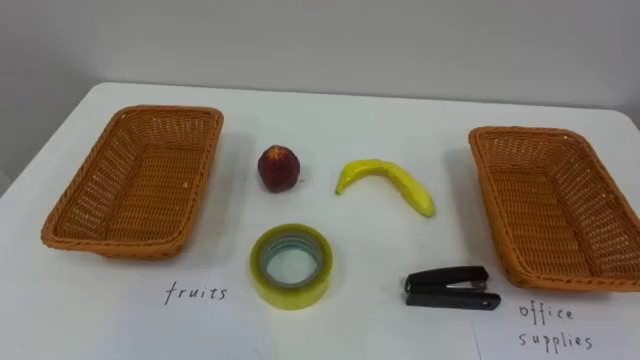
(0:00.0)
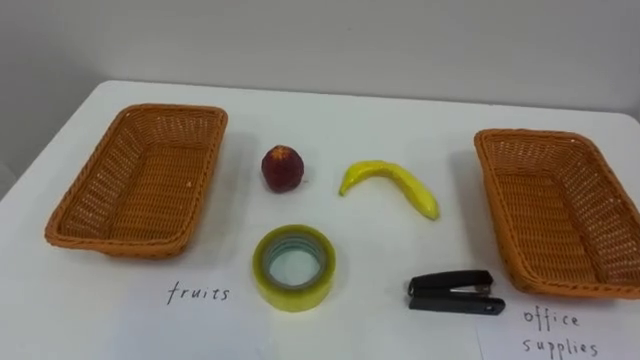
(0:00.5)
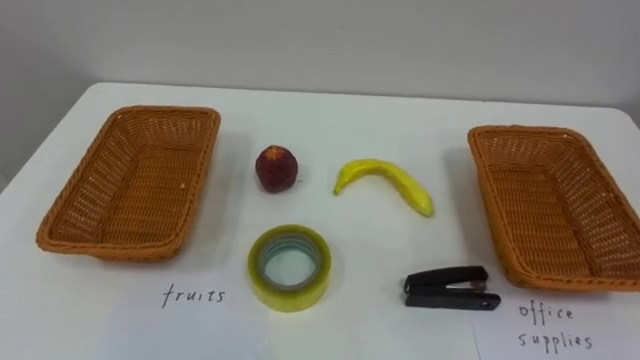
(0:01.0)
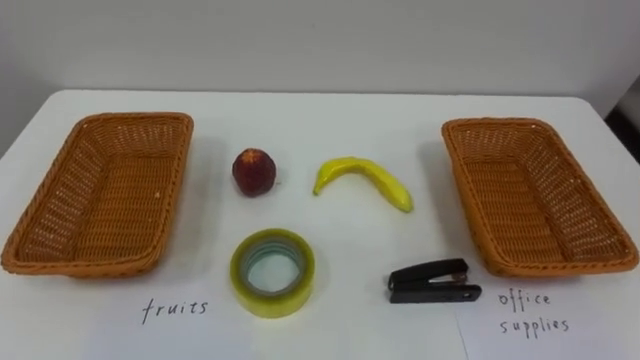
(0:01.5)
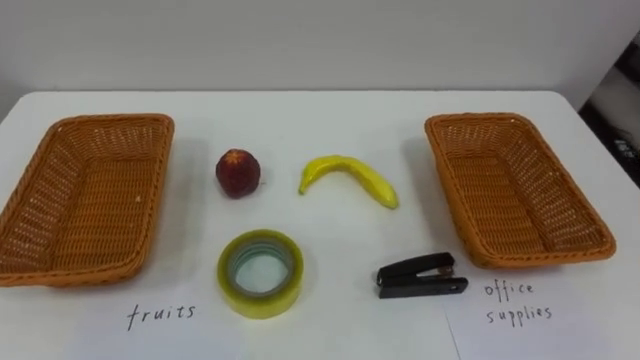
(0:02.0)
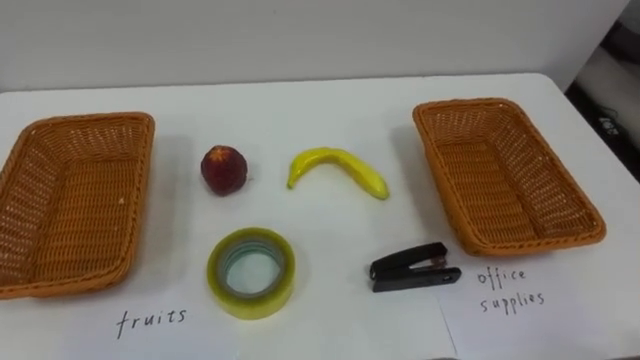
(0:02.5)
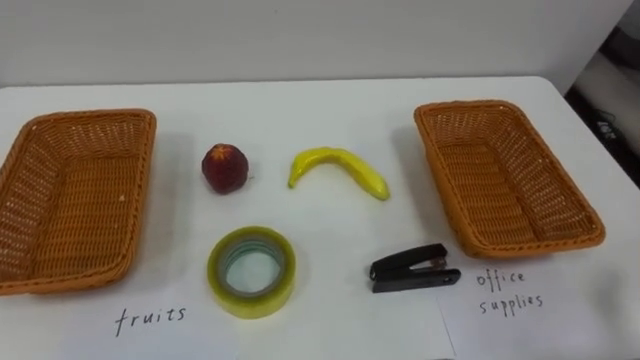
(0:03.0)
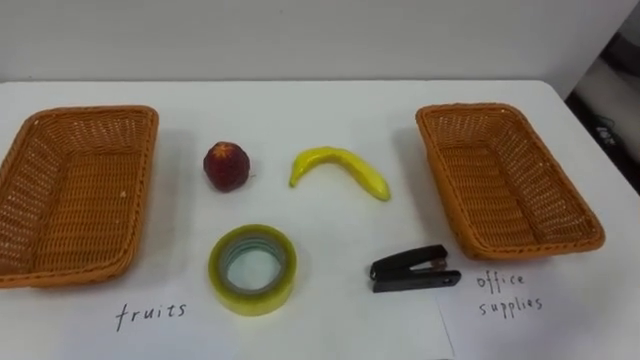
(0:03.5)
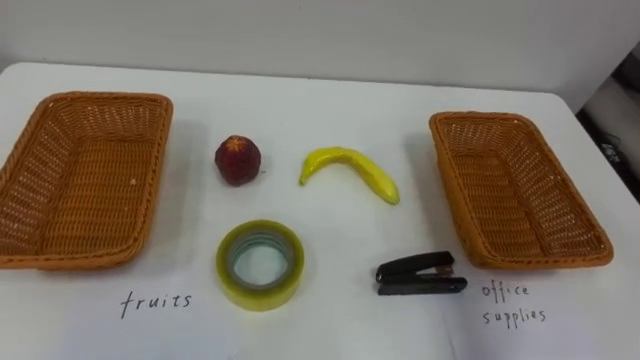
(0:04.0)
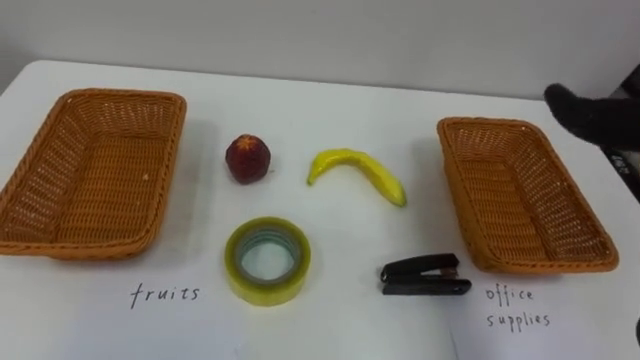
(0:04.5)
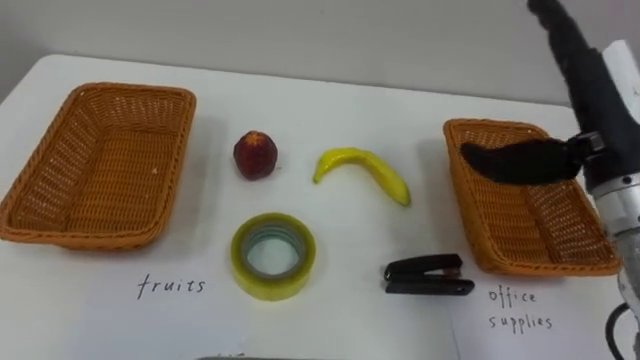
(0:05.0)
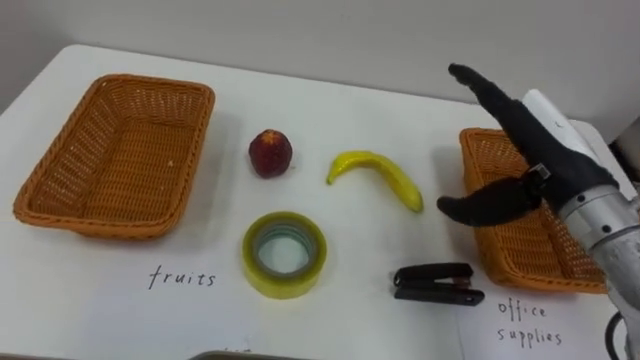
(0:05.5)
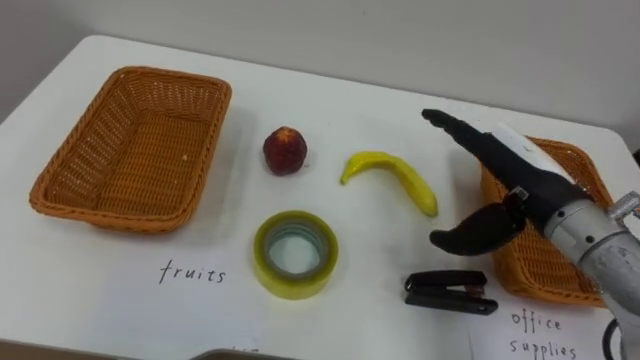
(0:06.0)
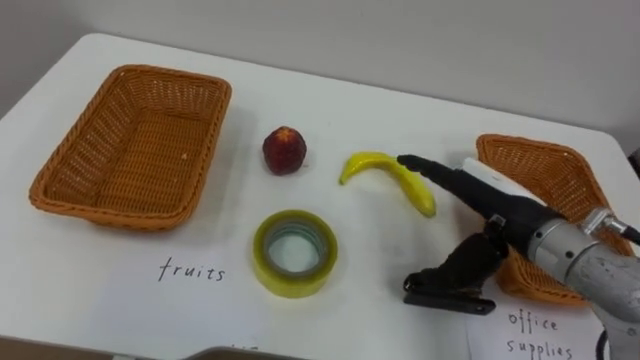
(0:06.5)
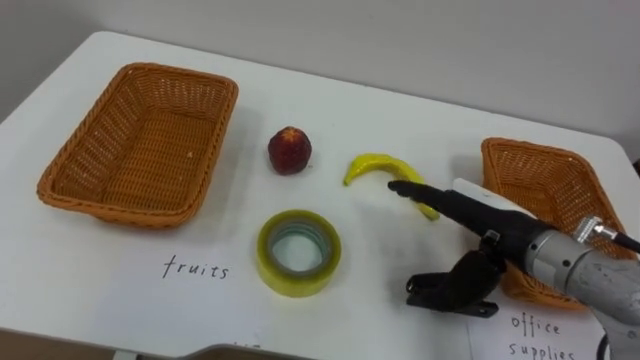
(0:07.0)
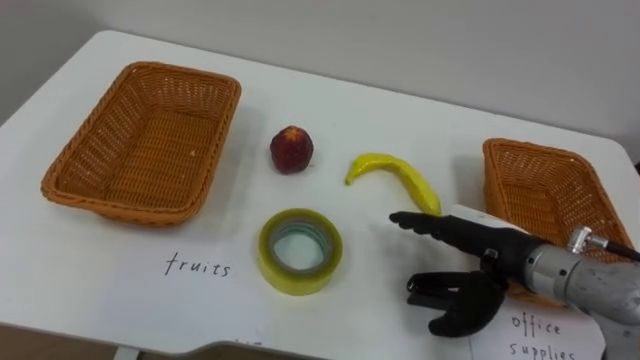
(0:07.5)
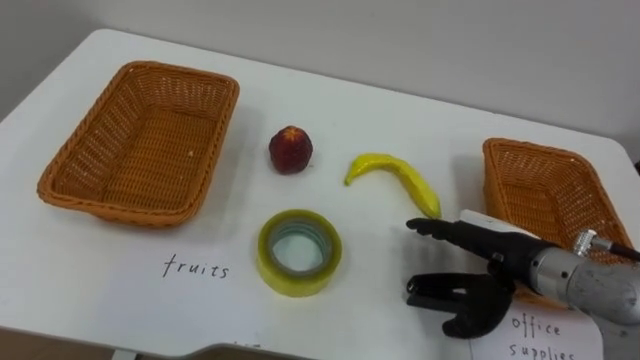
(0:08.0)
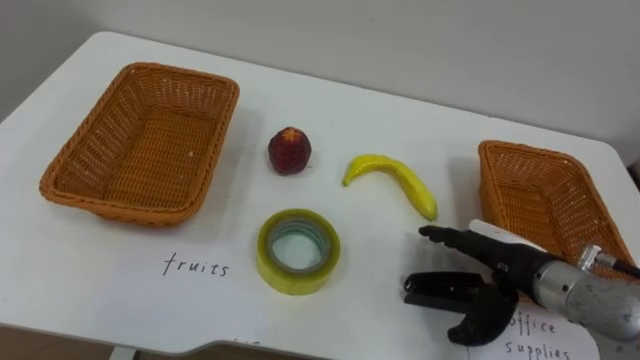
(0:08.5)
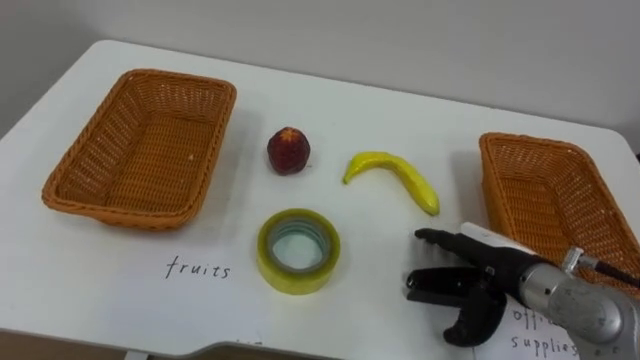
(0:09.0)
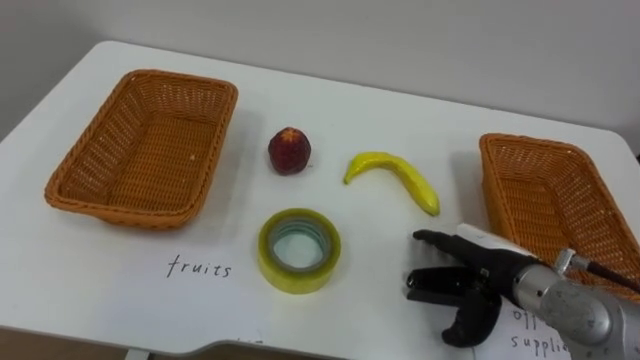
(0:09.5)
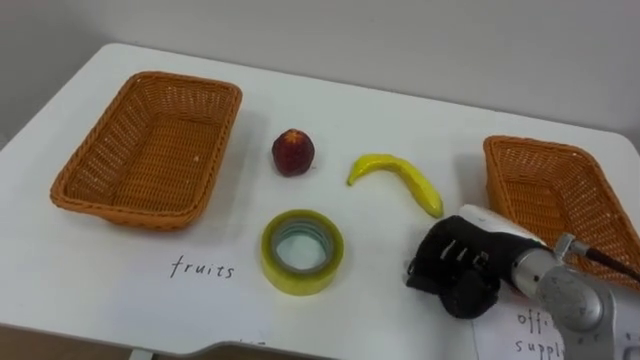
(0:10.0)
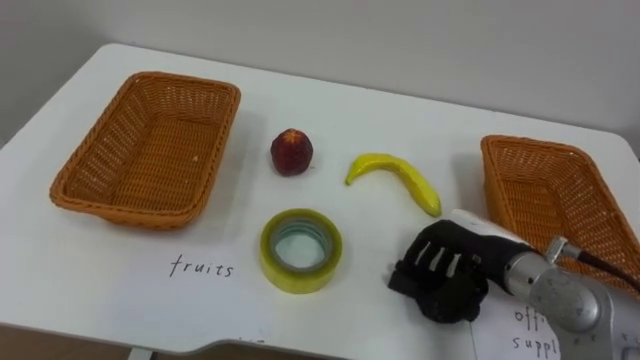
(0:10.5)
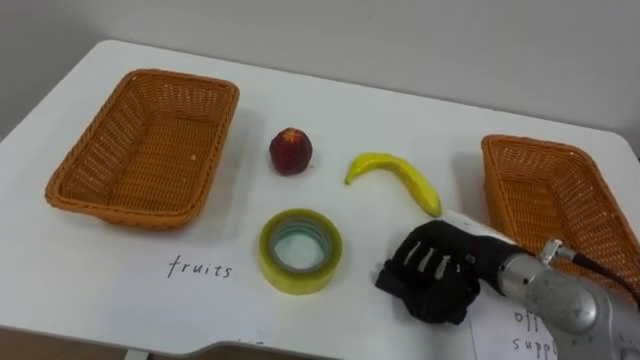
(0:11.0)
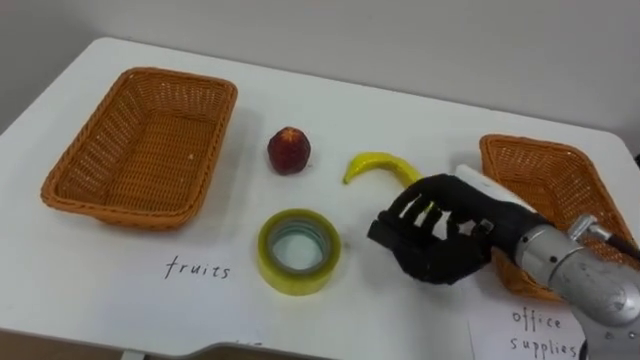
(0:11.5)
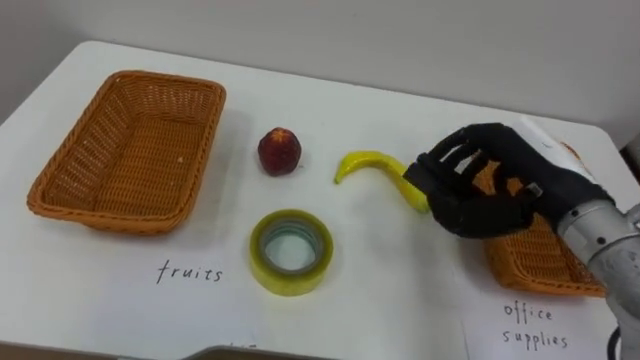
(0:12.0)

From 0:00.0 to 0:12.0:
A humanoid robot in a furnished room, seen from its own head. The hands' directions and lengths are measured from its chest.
Task of the whole recording: Separate the items on the table and place them into the two baskets.
From 0:06.0 to 0:08.0: The right hand is displaced downward by some 10 cm.
From 0:08.0 to 0:10.0: The right hand closes up.
From 0:10.0 to 0:12.0: The right hand shifts roughly 10 cm upward.

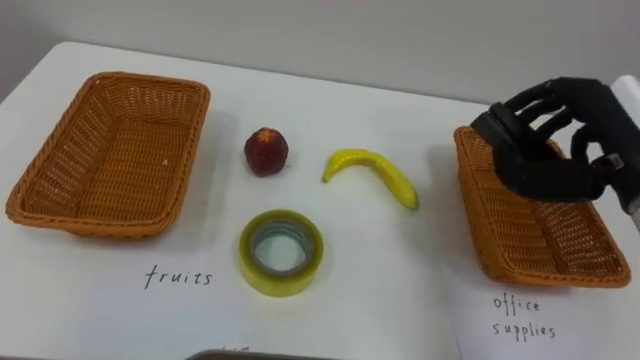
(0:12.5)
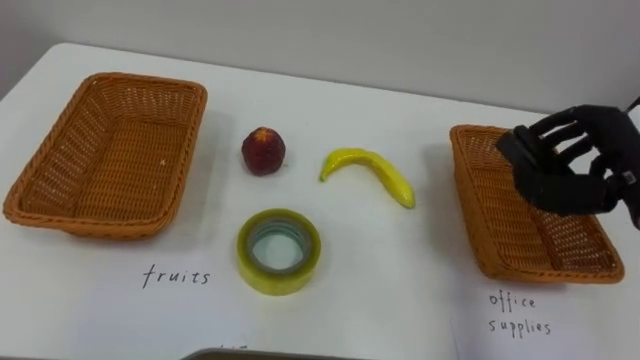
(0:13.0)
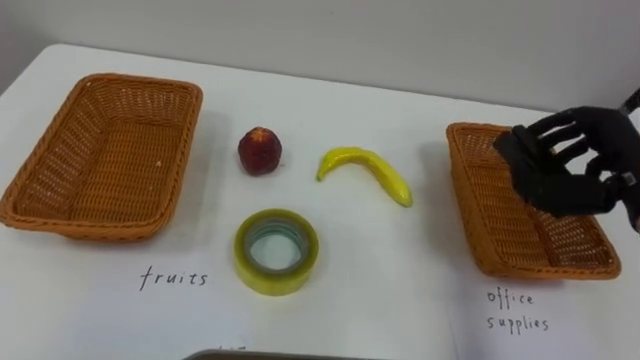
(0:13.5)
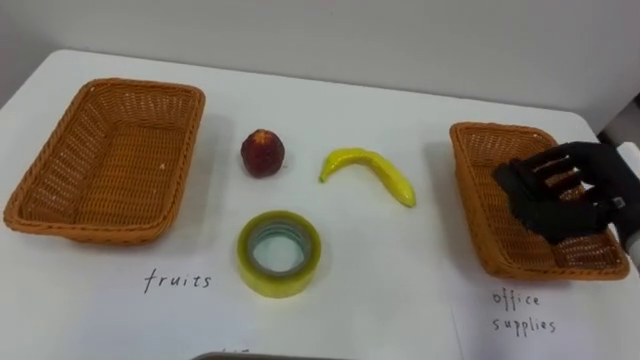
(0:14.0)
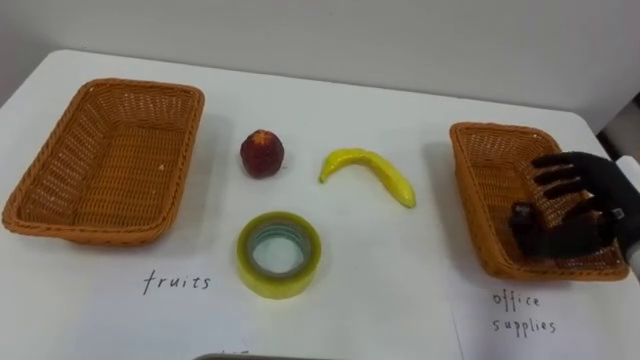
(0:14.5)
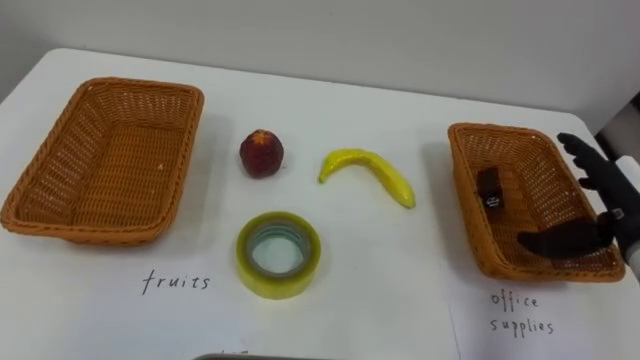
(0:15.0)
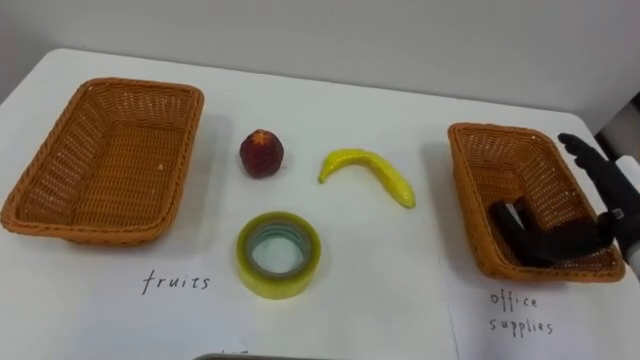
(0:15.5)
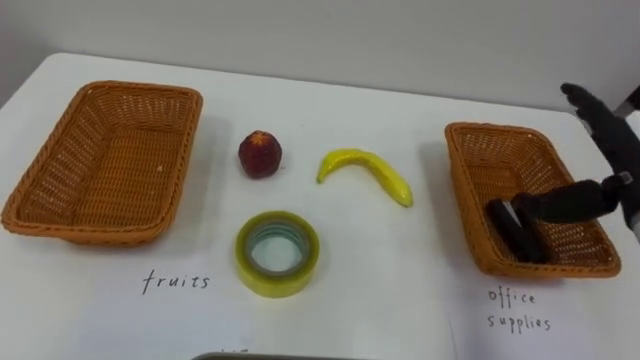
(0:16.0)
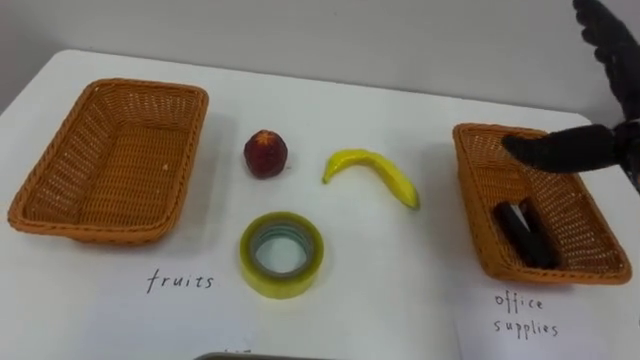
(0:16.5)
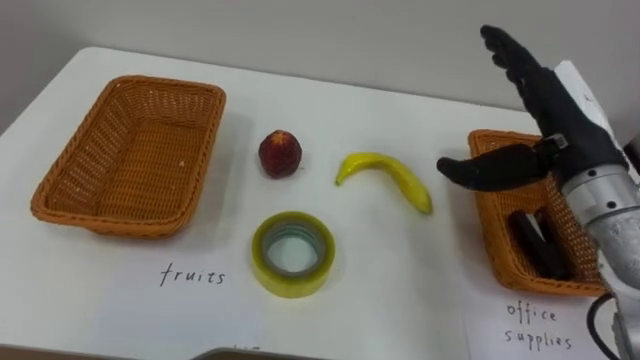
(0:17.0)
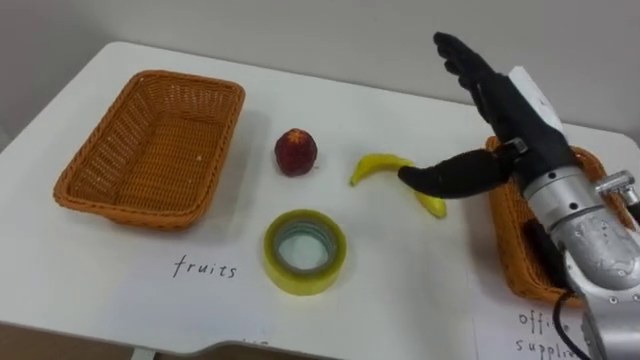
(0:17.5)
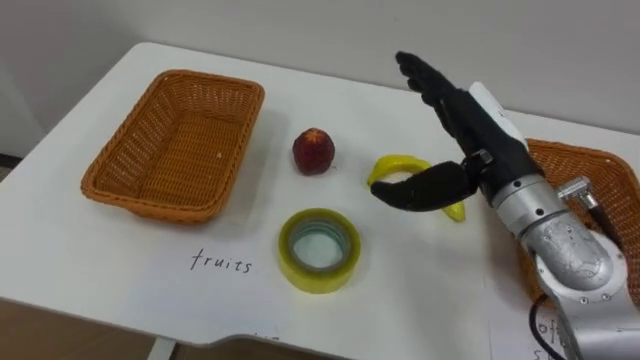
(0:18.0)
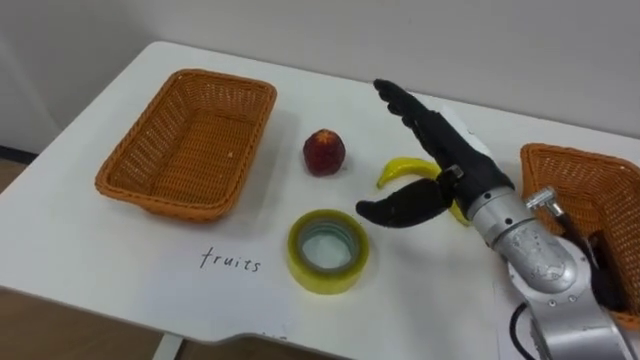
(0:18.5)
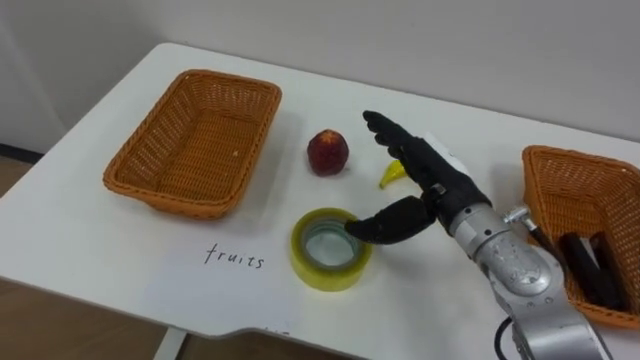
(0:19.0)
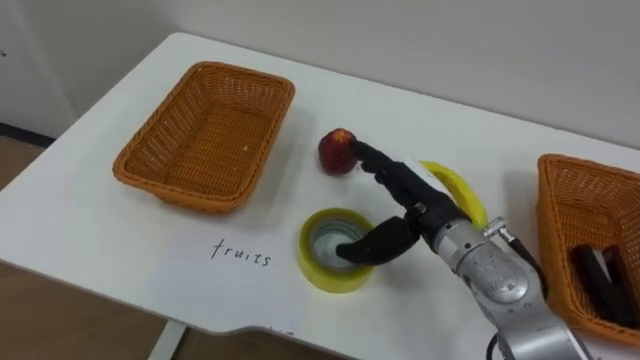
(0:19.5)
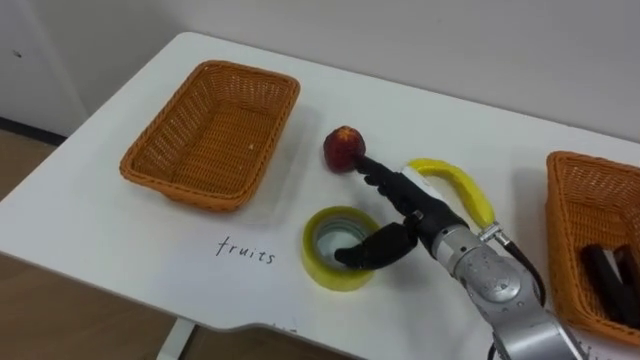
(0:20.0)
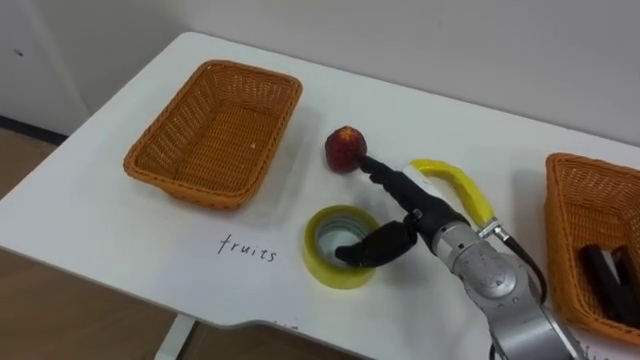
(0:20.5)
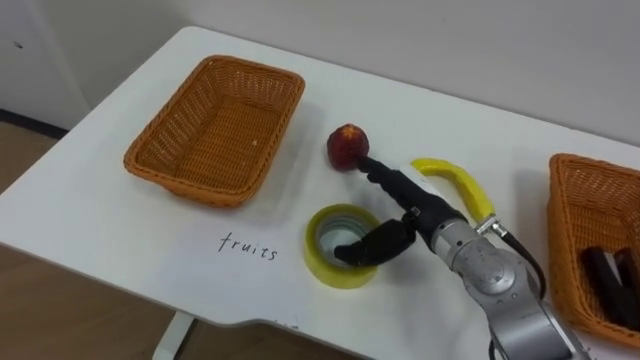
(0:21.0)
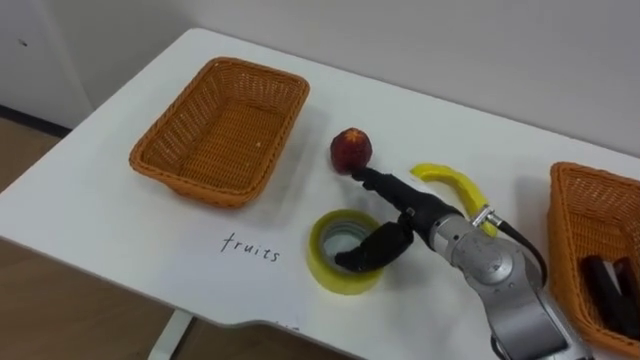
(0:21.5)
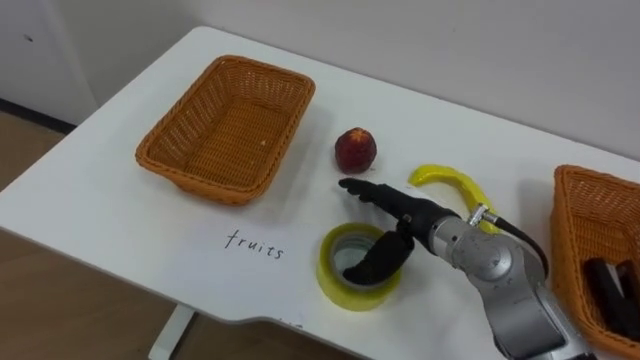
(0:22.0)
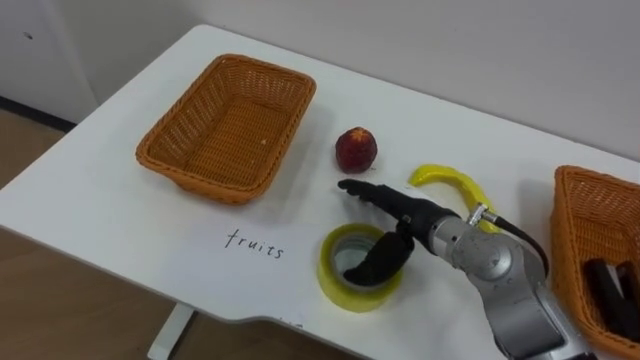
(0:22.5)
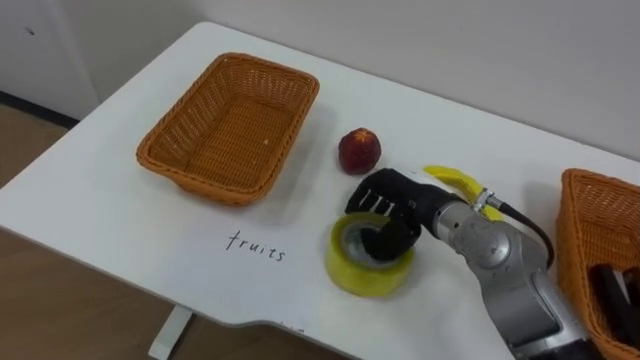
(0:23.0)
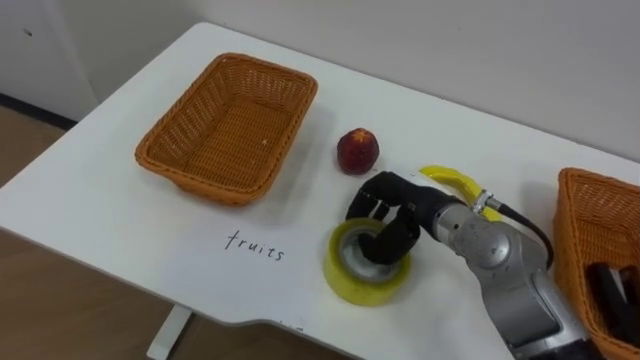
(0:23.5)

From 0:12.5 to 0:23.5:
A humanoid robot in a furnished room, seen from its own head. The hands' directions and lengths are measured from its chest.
Task of the whole recording: Separate the items on the table and place them into the two baskets.
From 0:12.5 to 0:14.5: The right hand travels downward and to the right by about 10 cm.
From 0:14.5 to 0:16.0: The right hand goes roughly 5 cm upward, and opens.
From 0:16.0 to 0:18.0: The right hand heads to the left, covering roughly 15 cm.
From 0:18.0 to 0:20.0: The right hand travels downward by roughly 10 cm.
From 0:21.5 to 0:23.5: The right hand closes its fingers.
